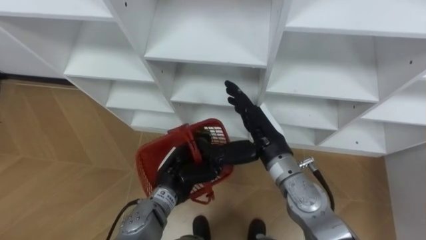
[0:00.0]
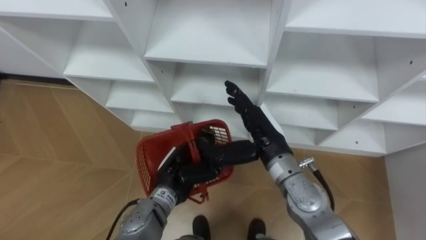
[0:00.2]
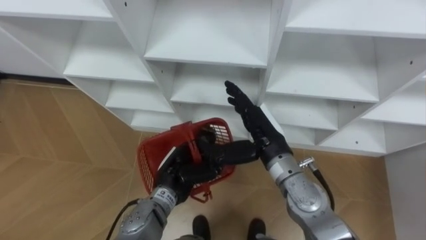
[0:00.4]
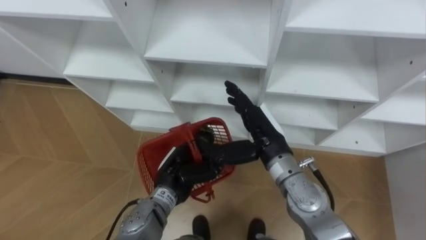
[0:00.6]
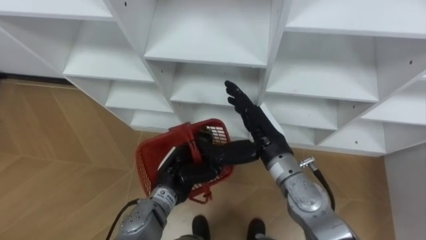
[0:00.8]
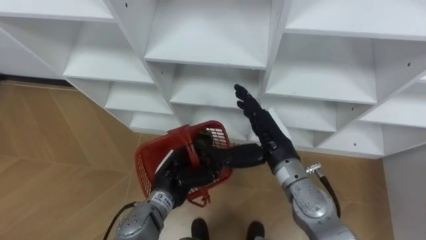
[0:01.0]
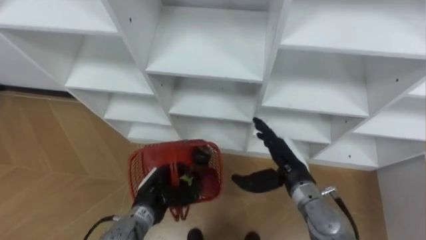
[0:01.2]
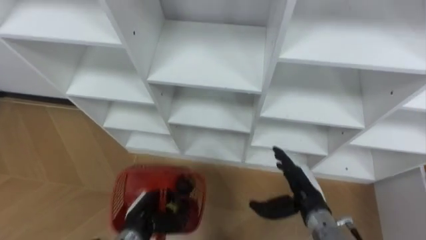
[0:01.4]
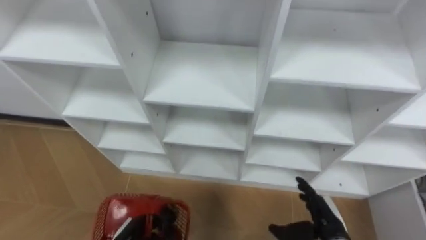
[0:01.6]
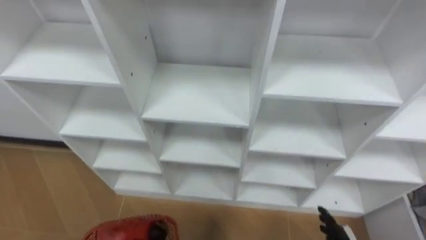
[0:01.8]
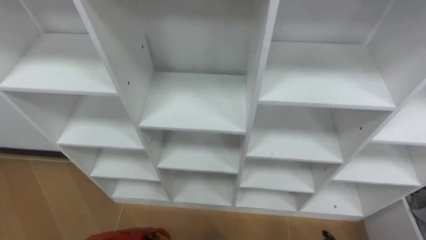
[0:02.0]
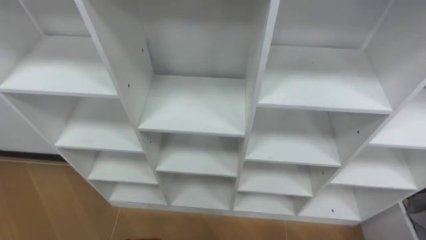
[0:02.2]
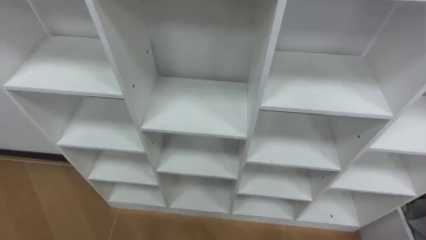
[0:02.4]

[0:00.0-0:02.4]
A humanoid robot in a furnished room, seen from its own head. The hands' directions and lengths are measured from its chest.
Task of the whole recording: Hold the basket and collect the fruits from 3 different cells of the closet into it.
0:00.0 to 0:01.2: The left hand shifts by roughly 5 cm. Meanwhile the right hand shifts some 10 cm downward and to the right.

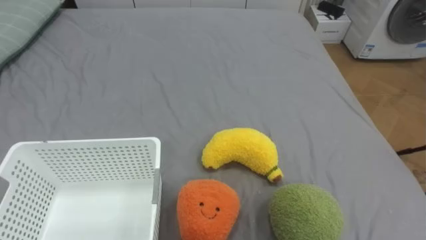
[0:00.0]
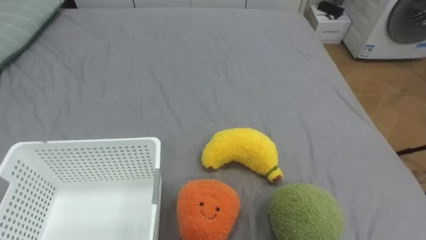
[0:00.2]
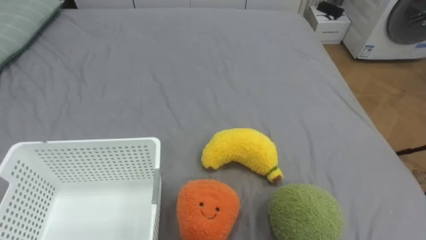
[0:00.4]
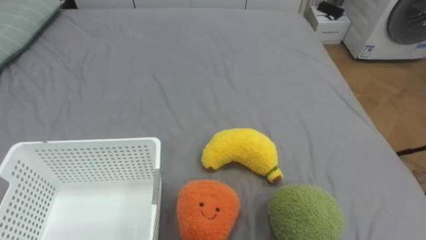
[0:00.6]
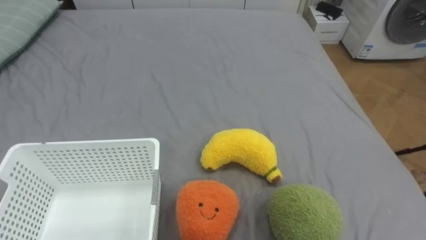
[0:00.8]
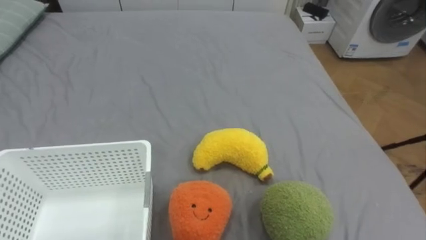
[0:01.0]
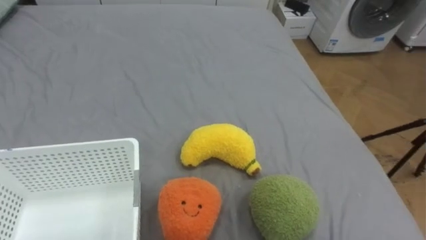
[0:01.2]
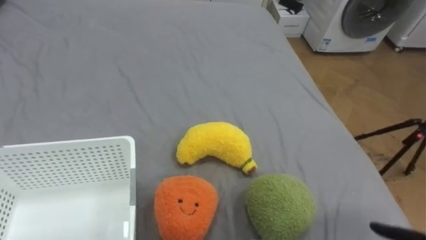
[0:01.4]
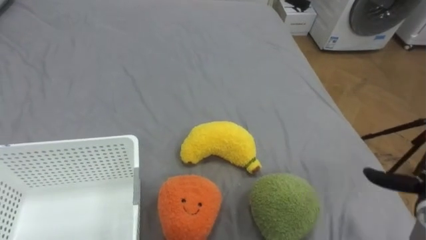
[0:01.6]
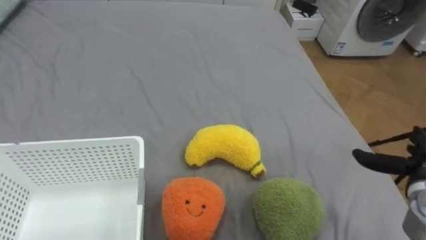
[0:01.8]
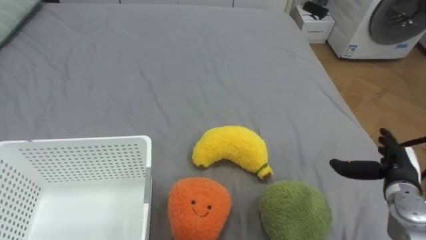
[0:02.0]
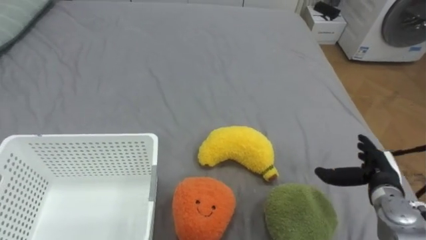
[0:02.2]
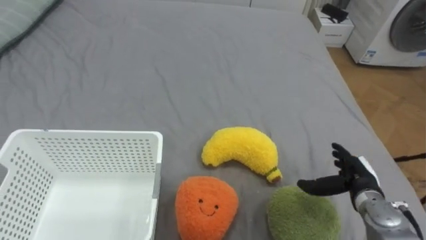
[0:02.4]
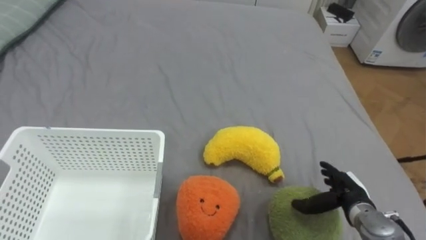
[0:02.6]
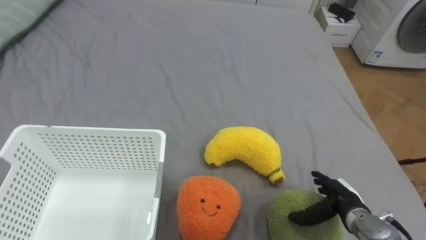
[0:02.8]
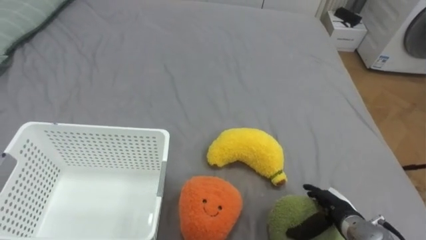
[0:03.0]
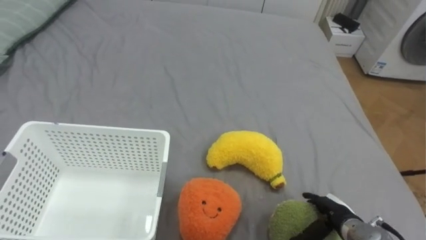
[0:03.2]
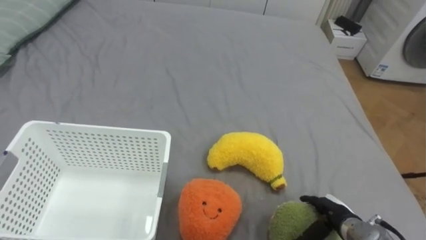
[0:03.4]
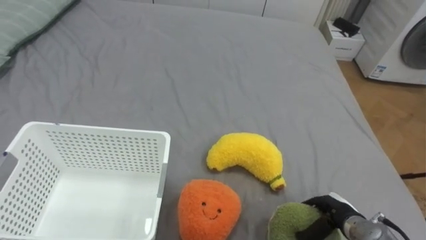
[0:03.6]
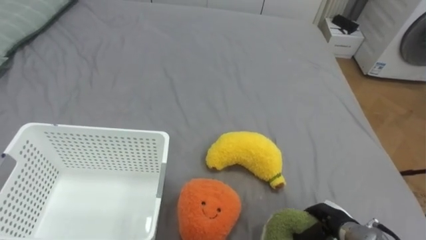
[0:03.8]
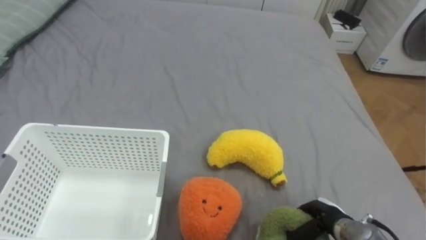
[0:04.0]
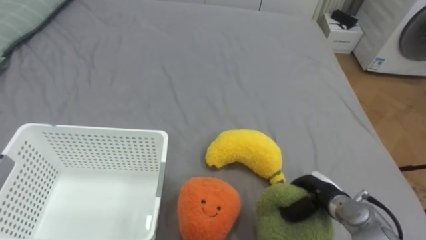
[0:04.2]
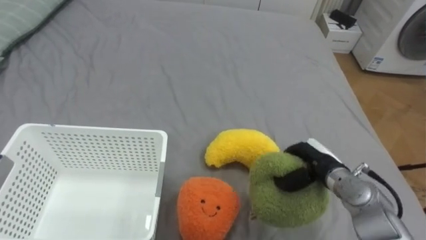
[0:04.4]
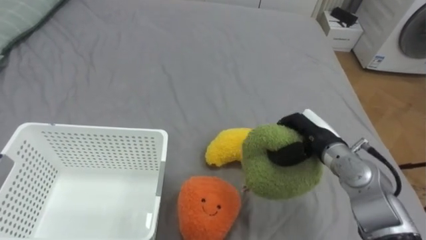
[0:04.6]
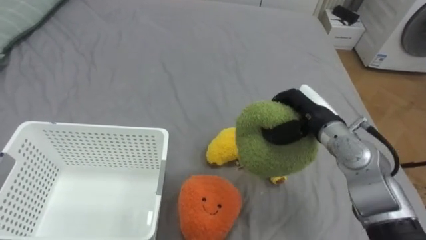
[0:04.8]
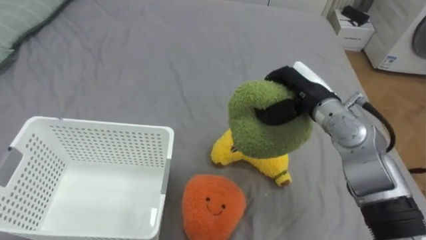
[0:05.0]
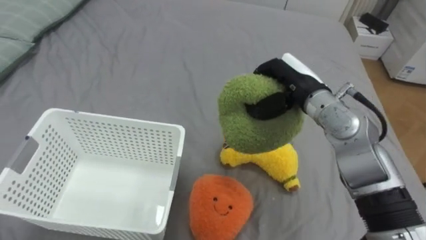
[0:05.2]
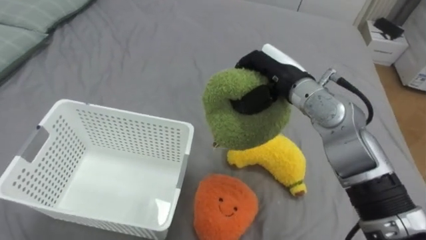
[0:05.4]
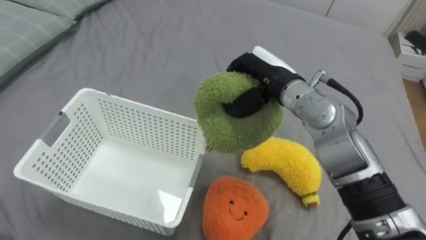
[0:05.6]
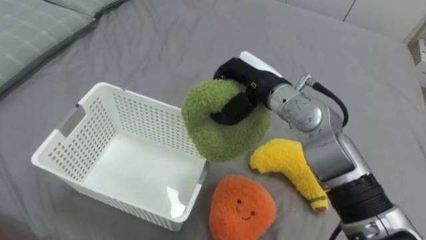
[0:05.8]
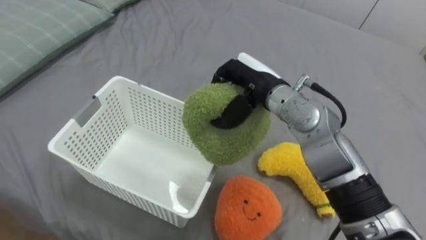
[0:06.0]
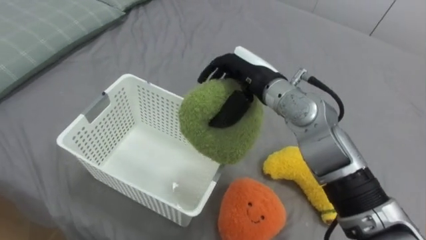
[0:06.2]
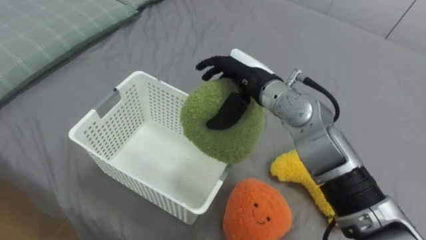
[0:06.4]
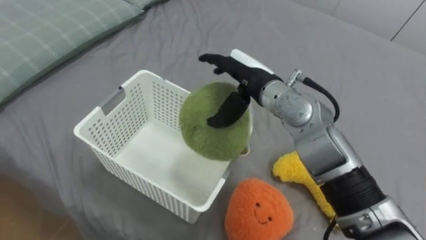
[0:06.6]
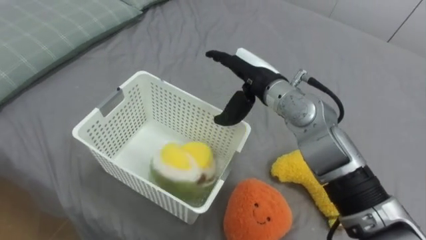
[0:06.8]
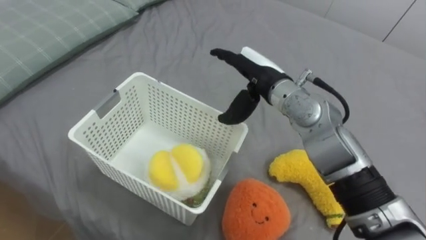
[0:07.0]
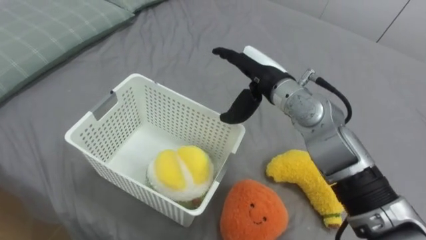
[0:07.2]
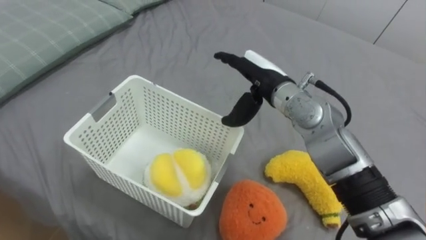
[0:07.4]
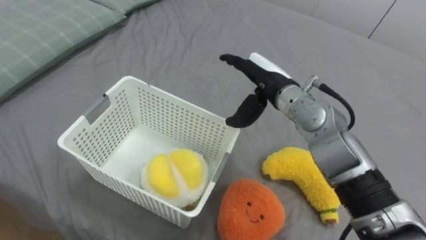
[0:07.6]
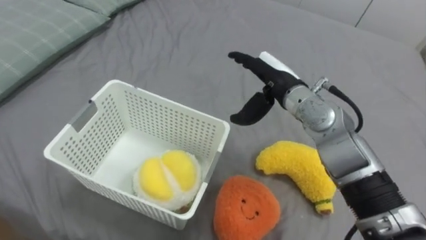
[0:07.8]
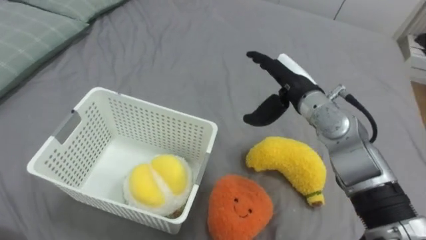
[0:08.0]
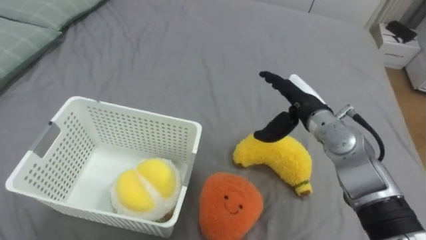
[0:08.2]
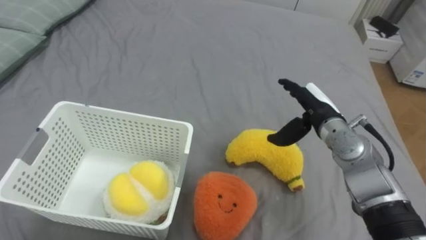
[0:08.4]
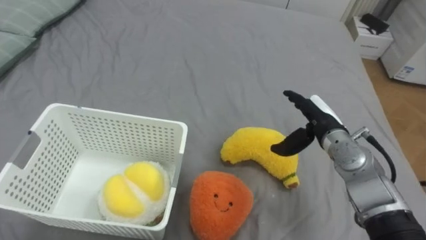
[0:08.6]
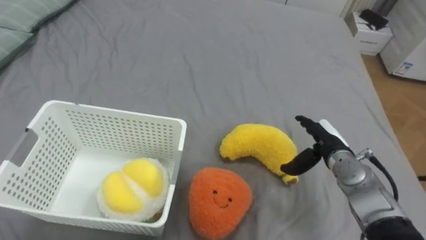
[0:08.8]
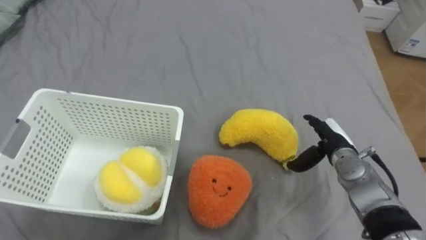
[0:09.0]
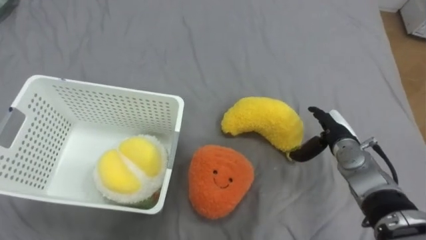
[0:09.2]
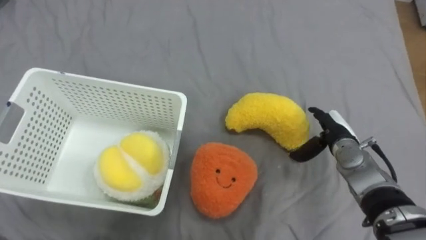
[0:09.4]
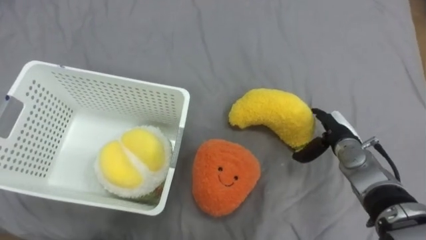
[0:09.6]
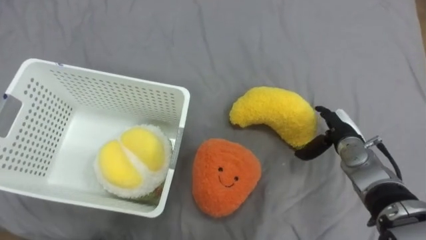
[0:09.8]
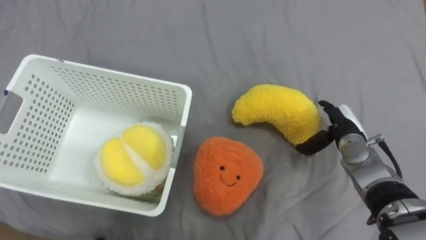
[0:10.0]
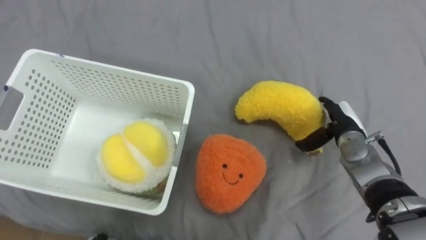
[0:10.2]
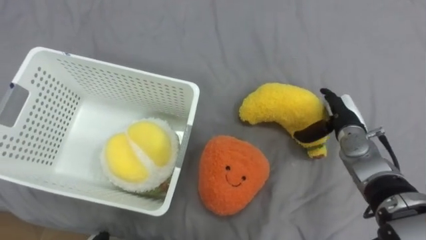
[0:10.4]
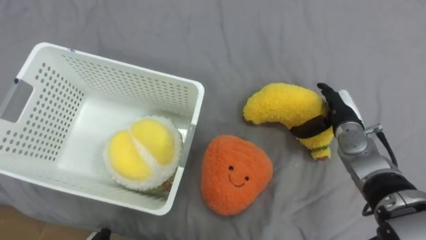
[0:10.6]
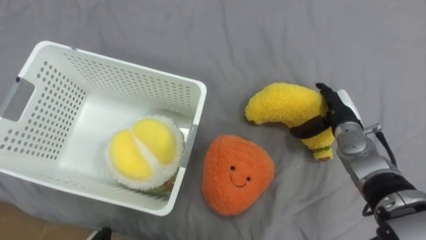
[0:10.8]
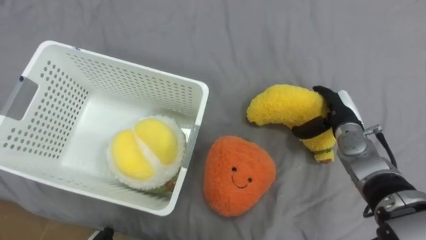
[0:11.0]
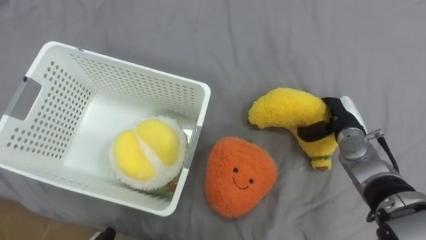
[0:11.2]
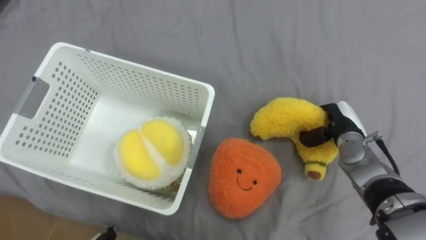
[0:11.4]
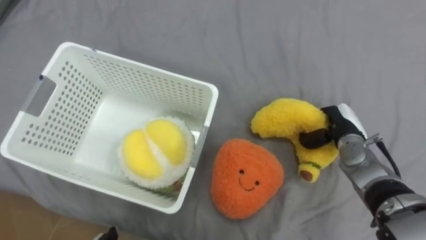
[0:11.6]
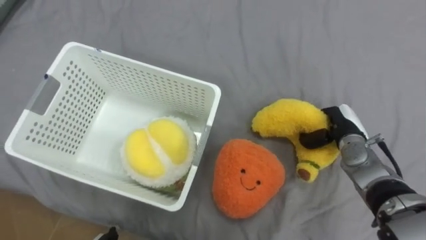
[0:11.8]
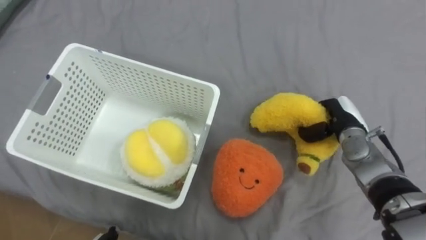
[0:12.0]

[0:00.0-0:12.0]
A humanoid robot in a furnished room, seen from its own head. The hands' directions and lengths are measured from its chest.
Task of the whole recording: Put the toys on the bed into the basket on the left.
0:03.0 to 0:04.4: The right hand shifts some 10 cm upward and forward, and closes.
0:04.4 to 0:06.0: The right hand goes roughly 25 cm upward, to the left and forward.
0:06.0 to 0:07.6: The right hand opens up.
0:07.6 to 0:09.0: The right hand heads to the right and downward, covering some 20 cm.
0:09.0 to 0:10.4: The right hand ends up roughly 5 cm from where it was.
0:10.4 to 0:12.0: The right hand closes up.

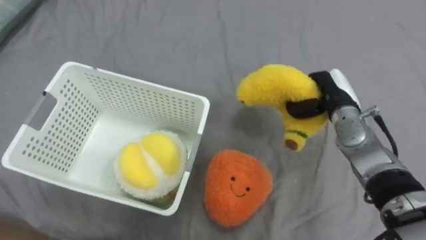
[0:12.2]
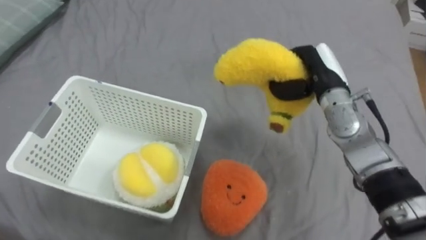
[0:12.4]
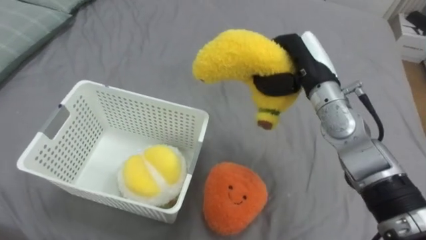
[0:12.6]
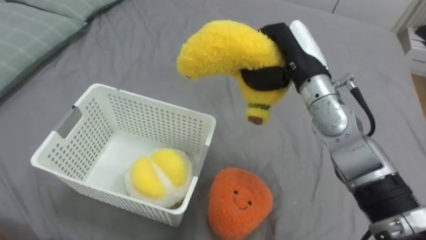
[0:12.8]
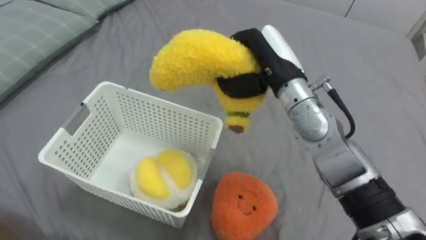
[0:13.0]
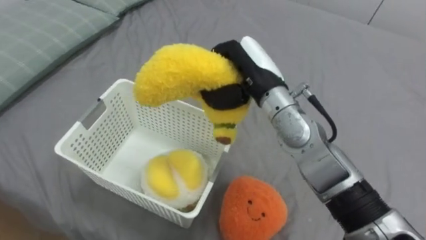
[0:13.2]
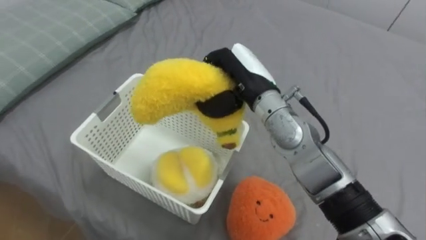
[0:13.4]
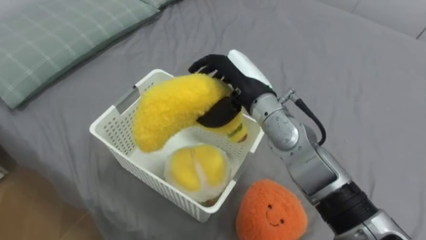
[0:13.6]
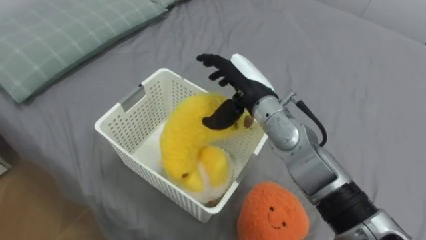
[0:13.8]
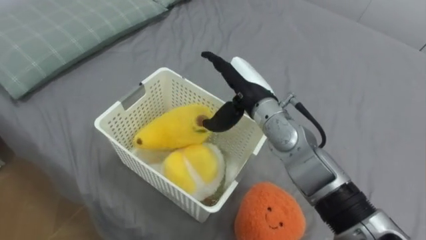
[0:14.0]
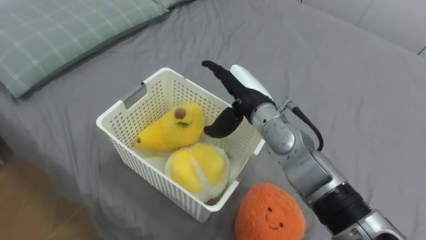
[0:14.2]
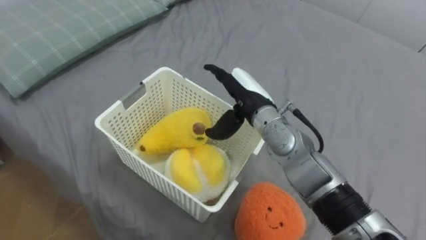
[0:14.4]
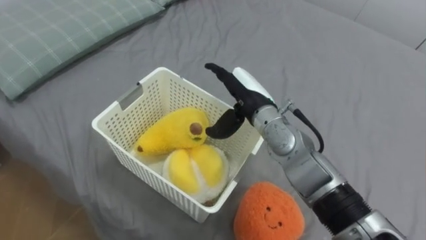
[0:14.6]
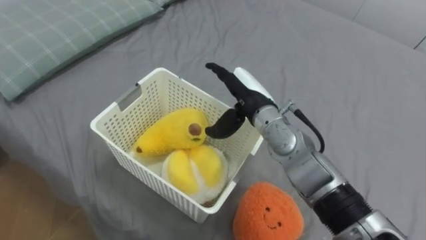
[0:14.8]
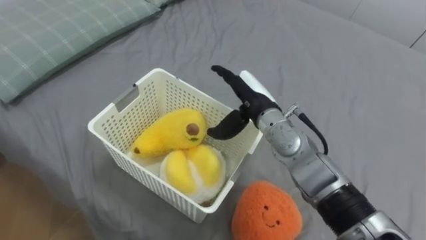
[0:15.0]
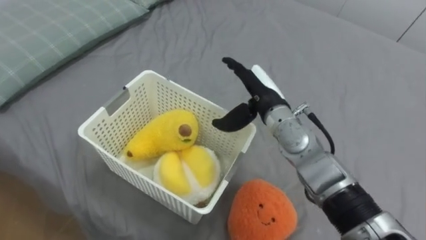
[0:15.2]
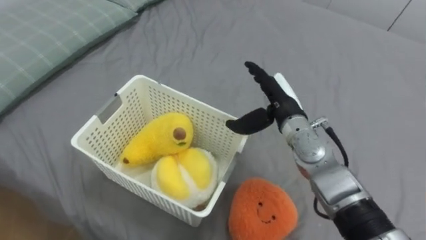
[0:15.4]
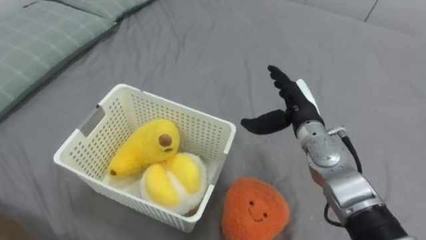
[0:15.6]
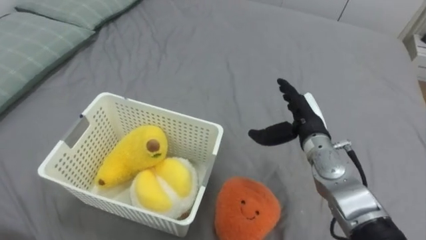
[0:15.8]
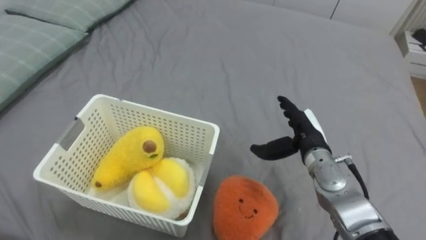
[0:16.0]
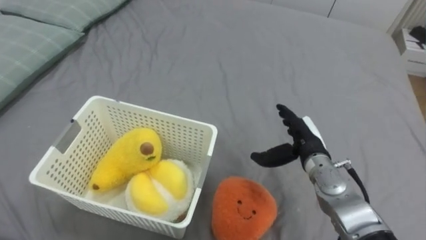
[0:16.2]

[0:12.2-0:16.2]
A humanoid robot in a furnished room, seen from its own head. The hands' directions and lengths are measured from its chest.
Task of the whole recording: Put the toys on the bed into the basket on the left.
0:12.2 to 0:13.6: The right hand is displaced to the left and upward by some 20 cm, and opens up.
0:13.6 to 0:14.8: The right hand opens.
0:14.8 to 0:16.2: The right hand travels to the right and downward by some 15 cm.
